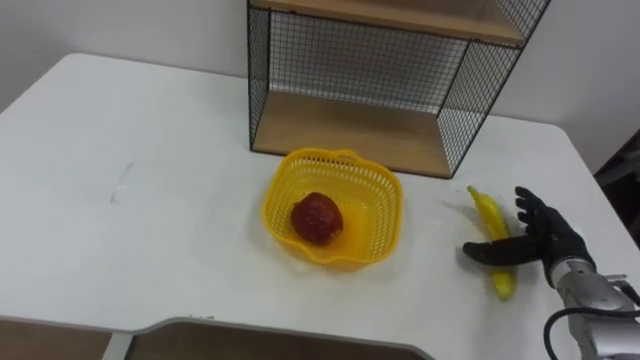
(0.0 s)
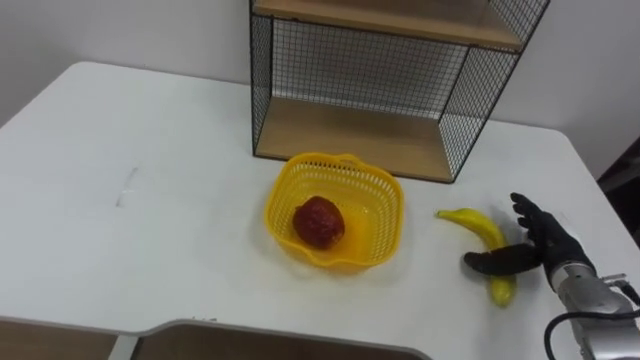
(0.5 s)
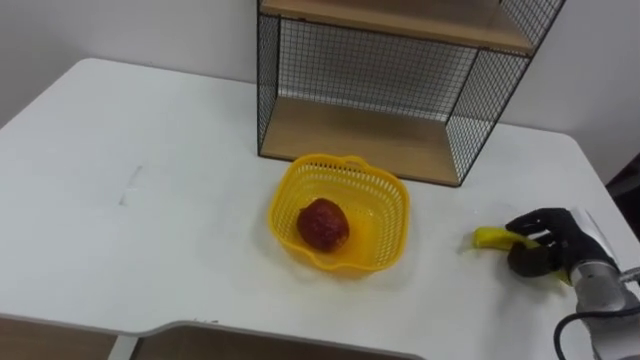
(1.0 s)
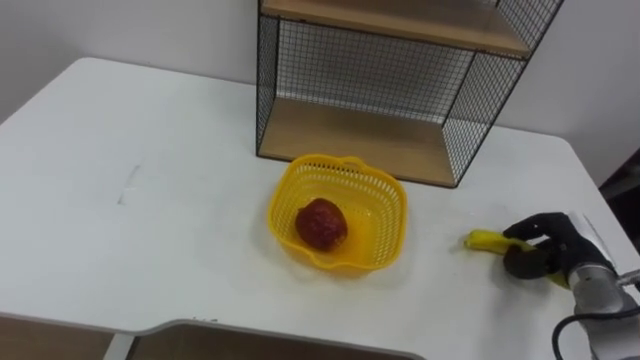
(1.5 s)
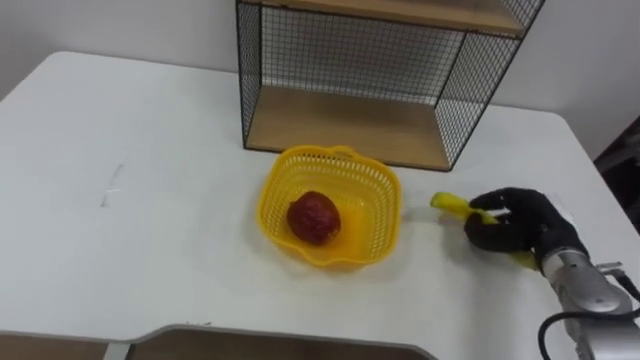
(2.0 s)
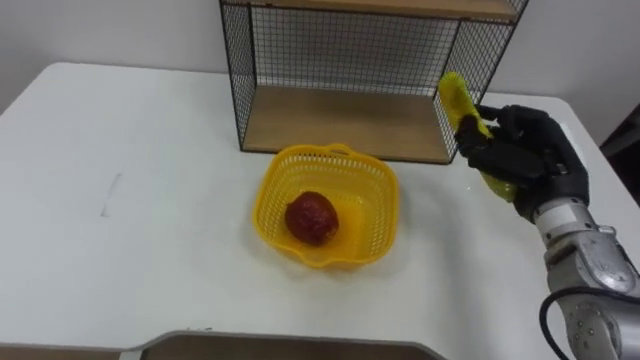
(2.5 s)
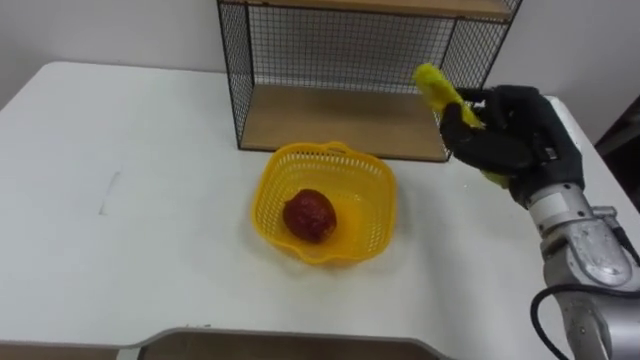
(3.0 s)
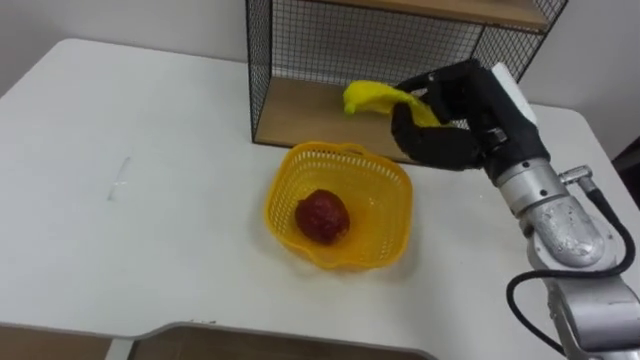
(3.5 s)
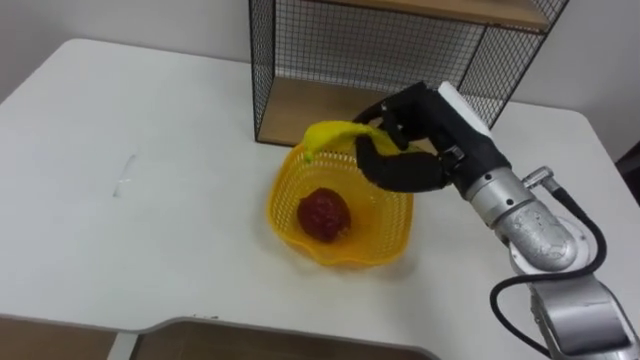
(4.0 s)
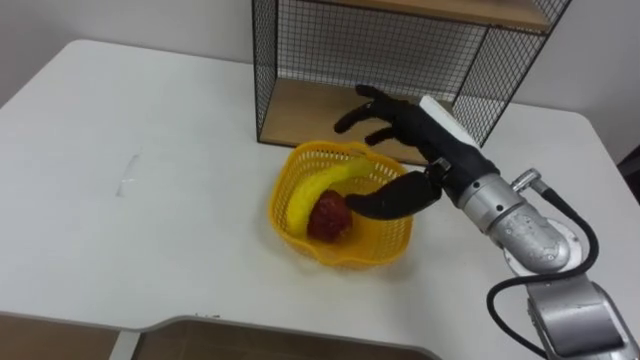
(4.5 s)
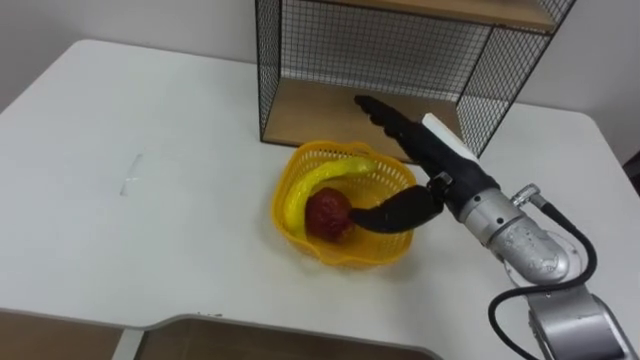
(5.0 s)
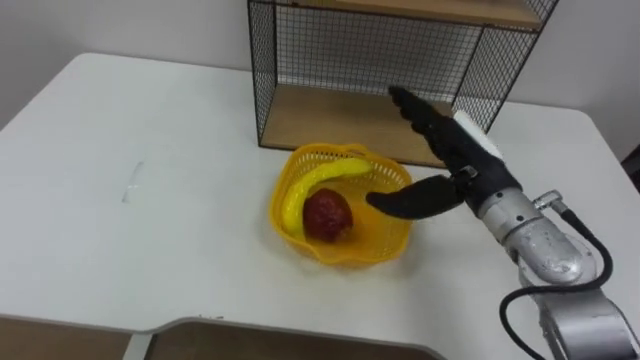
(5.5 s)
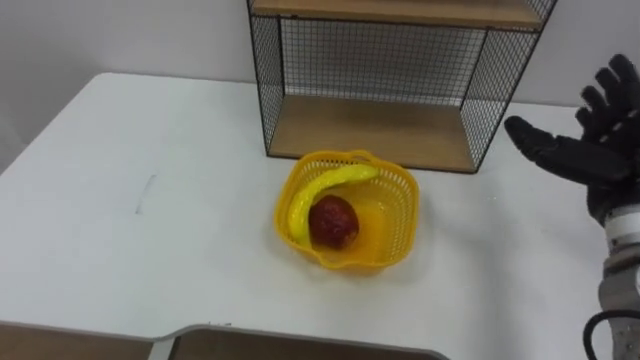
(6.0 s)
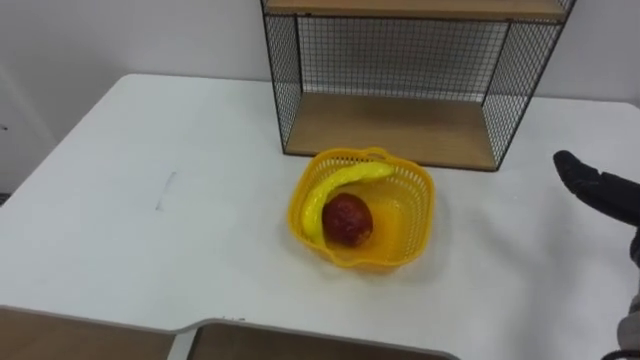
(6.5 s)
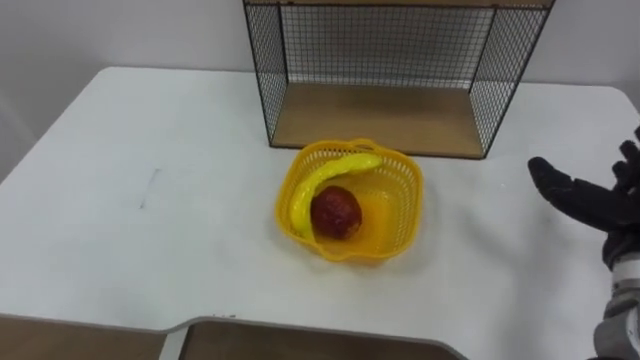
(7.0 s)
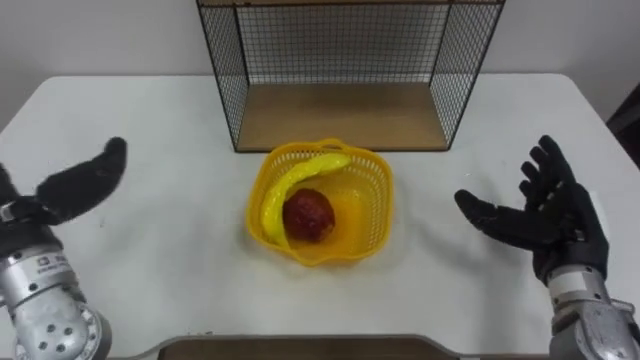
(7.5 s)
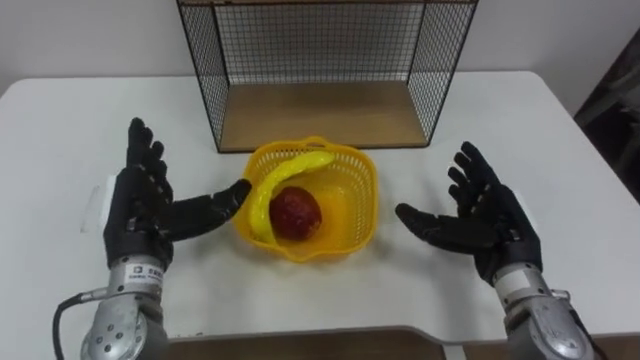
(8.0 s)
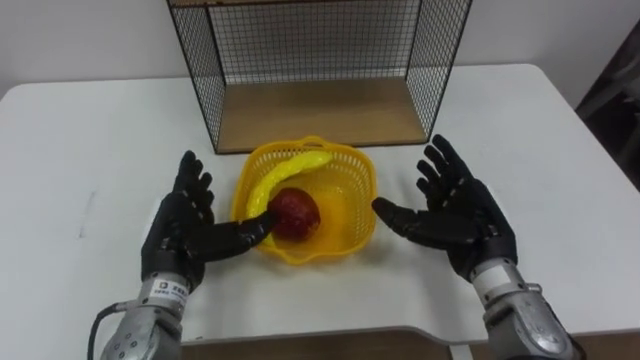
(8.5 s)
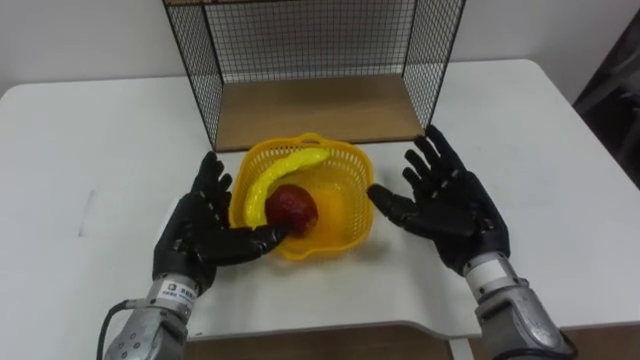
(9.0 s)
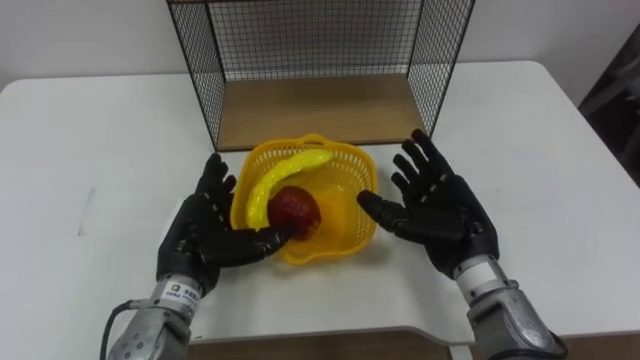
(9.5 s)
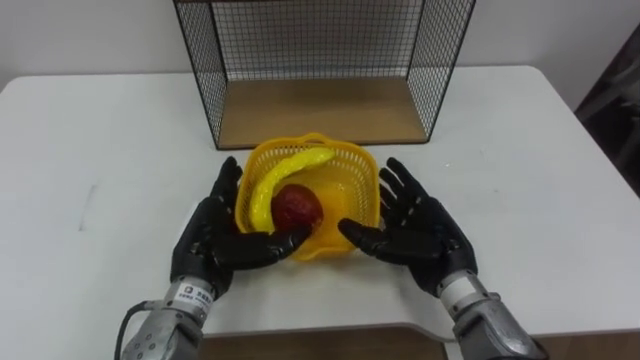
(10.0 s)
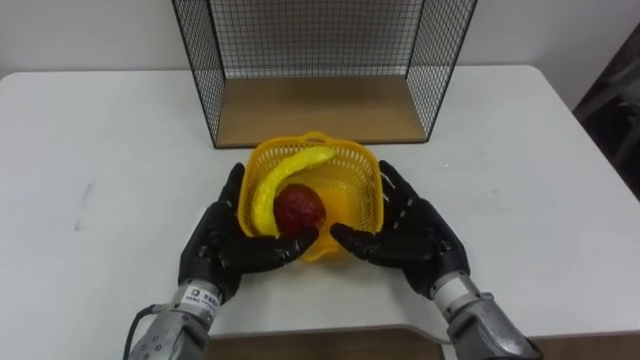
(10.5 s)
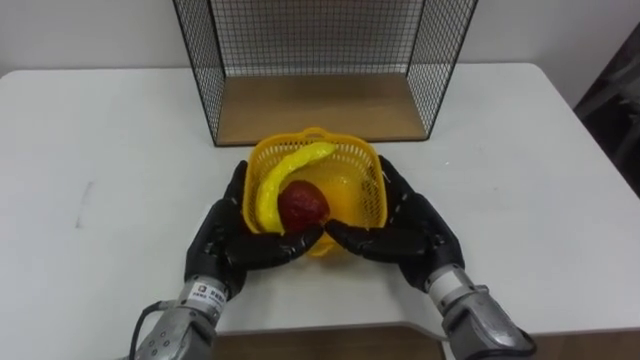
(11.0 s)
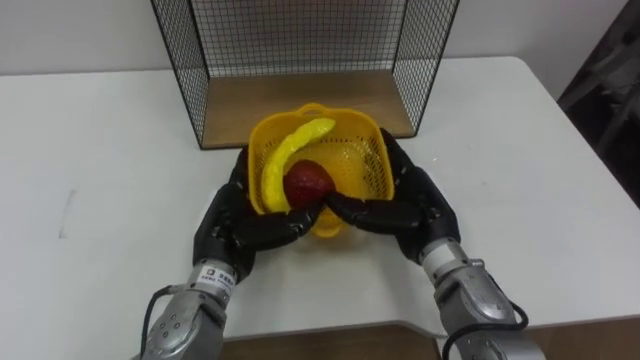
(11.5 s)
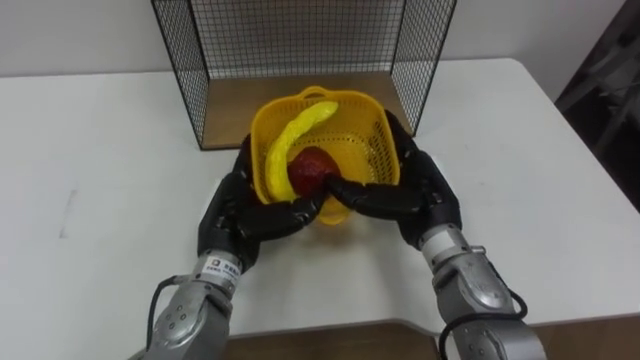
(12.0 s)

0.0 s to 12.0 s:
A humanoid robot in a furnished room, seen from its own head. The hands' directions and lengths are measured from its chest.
Task of the whole recording: Put the fruit on the table into the basket, then place the basket on the shelf.
0.0 to 2.0 s: The right hand closes.
2.0 to 4.0 s: The right hand travels upward and to the left by some 20 cm.
4.0 to 6.0 s: The right hand shifts about 15 cm to the right, and opens its fingers.
8.0 to 10.0 s: The left hand is displaced to the right by about 5 cm, while the right hand moves to the left, some 5 cm.
10.0 to 12.0 s: The right hand ends up roughly 5 cm from where it was.

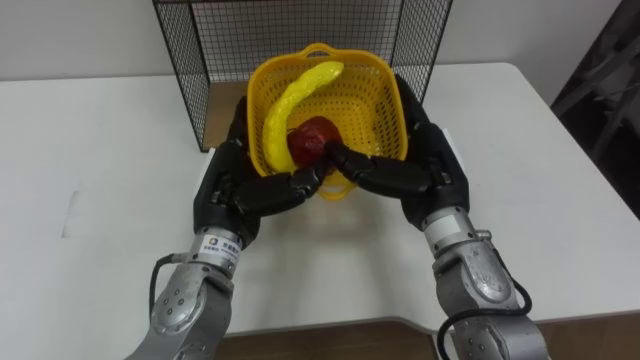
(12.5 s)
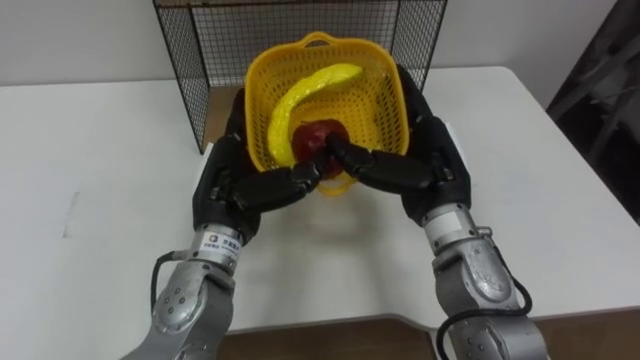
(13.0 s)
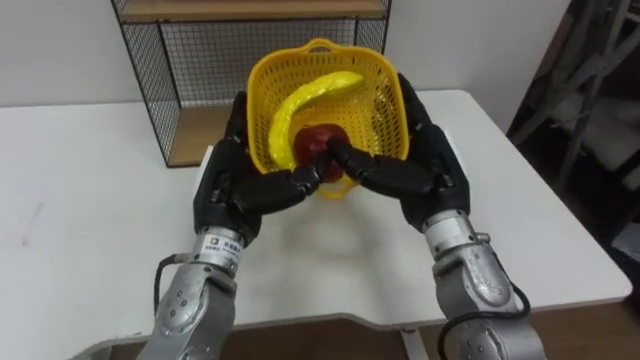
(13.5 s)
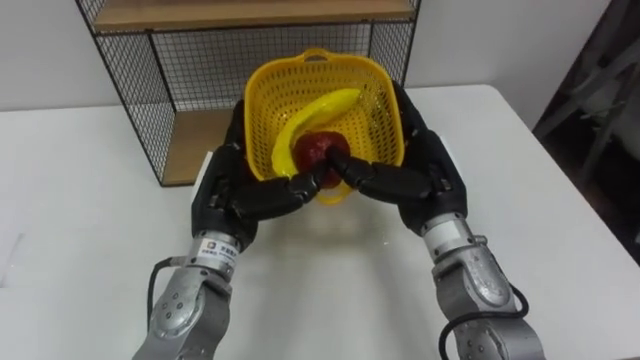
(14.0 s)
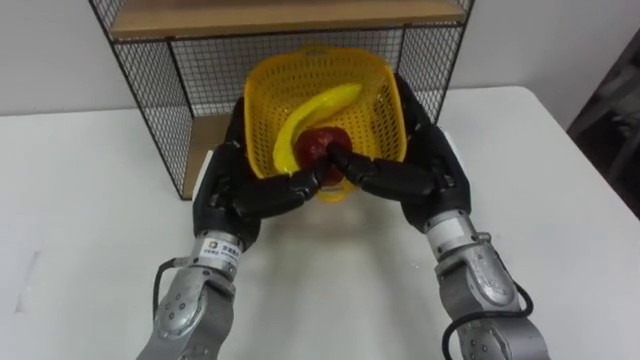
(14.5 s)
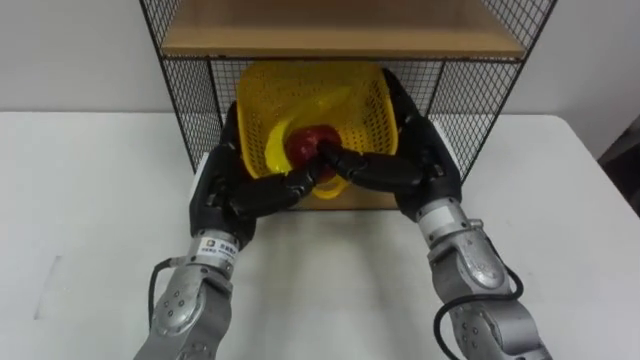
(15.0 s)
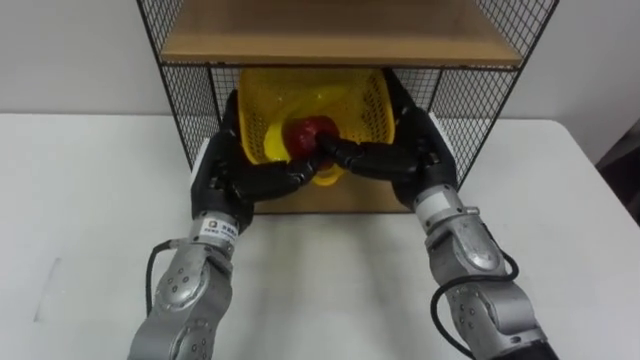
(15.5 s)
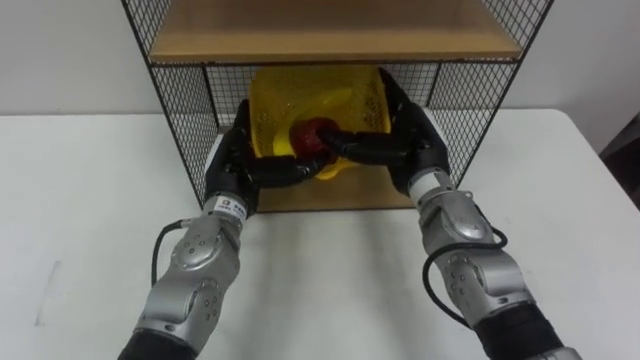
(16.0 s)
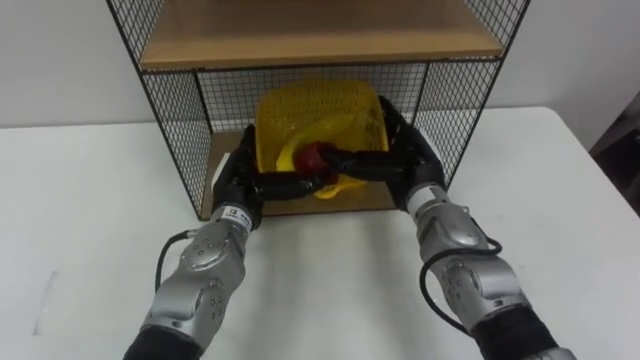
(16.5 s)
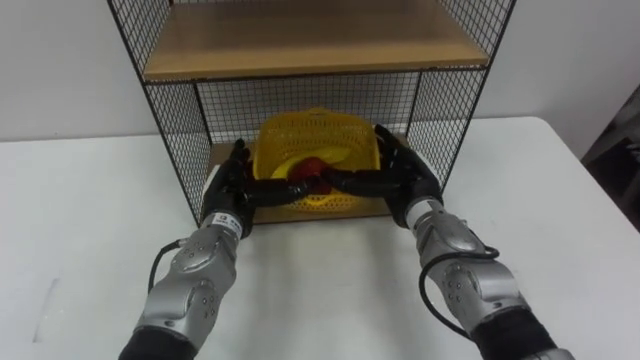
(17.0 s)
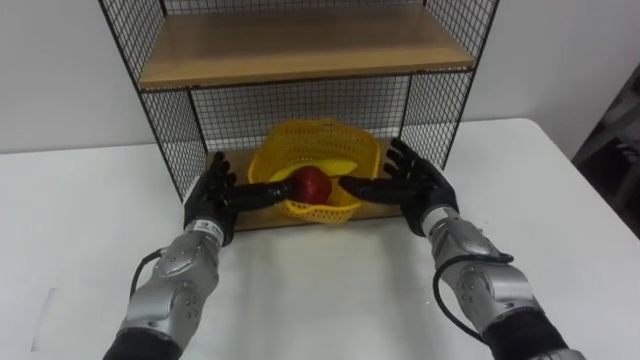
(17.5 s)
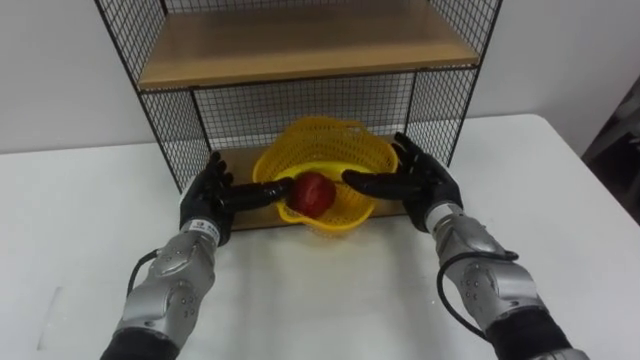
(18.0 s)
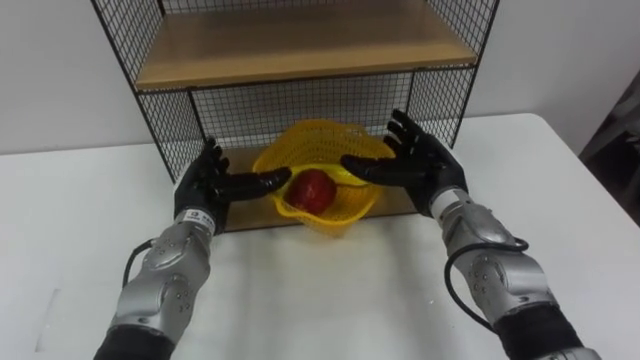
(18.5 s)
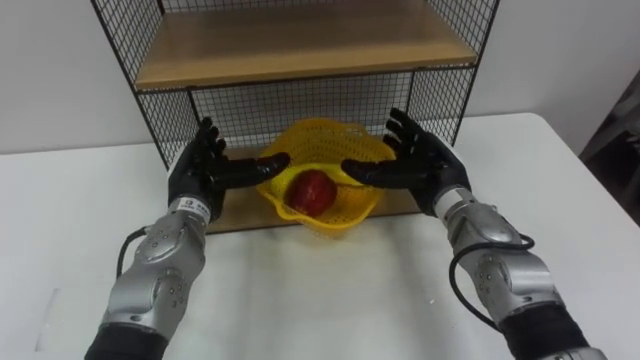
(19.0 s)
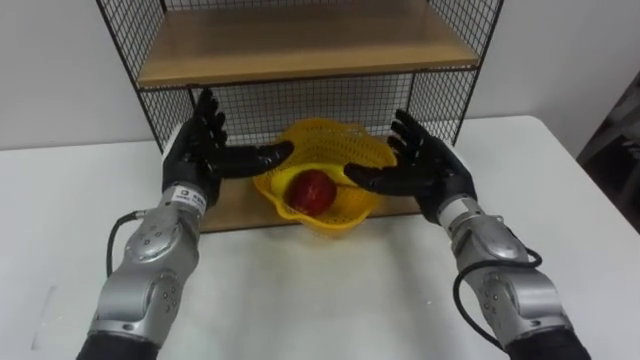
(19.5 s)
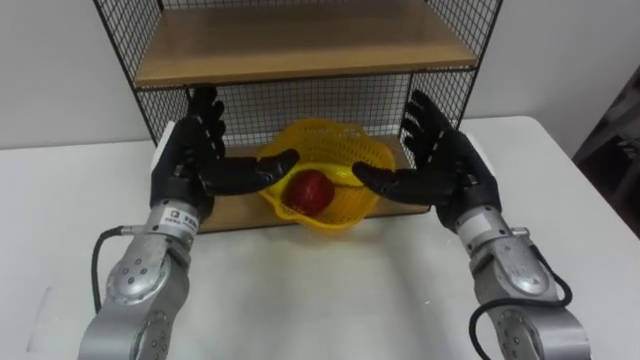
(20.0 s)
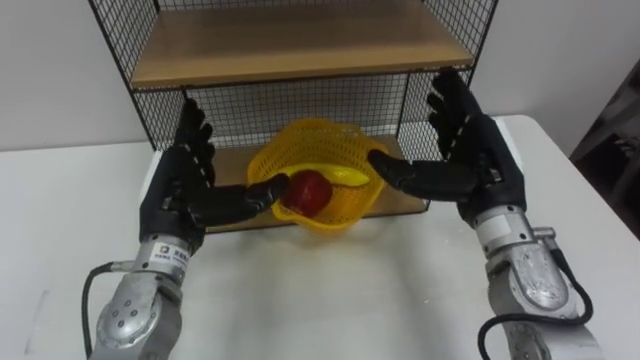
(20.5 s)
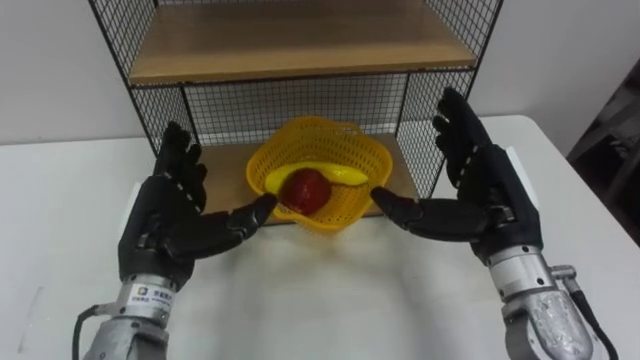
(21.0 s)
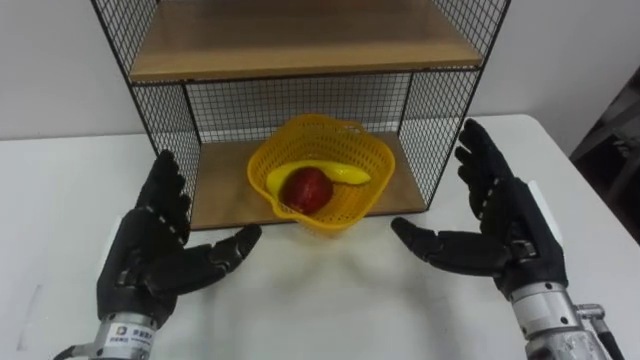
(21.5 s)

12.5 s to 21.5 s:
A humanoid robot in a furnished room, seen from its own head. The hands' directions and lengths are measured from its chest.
Task of the whole recording: Put the fruit on the table into the basket, then place the basket on the shelf.
14.5 to 17.0 s: Both hands travel together downward, approximately 10 cm.
17.0 to 19.5 s: The left hand moves upward, about 5 cm.
19.5 to 21.5 s: The left hand heads backward, covering approximately 15 cm. Meanwhile the right hand moves backward and to the right, about 15 cm.
